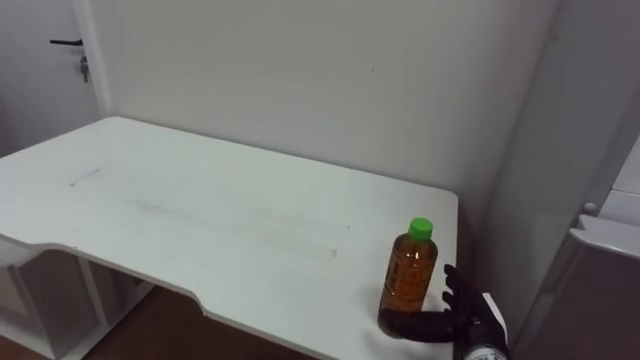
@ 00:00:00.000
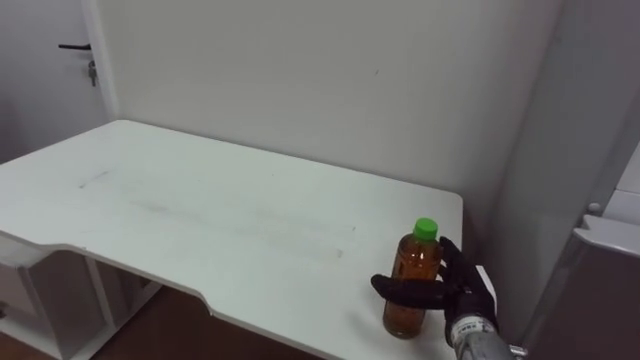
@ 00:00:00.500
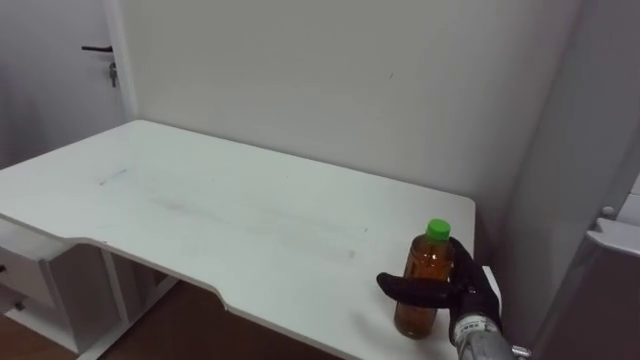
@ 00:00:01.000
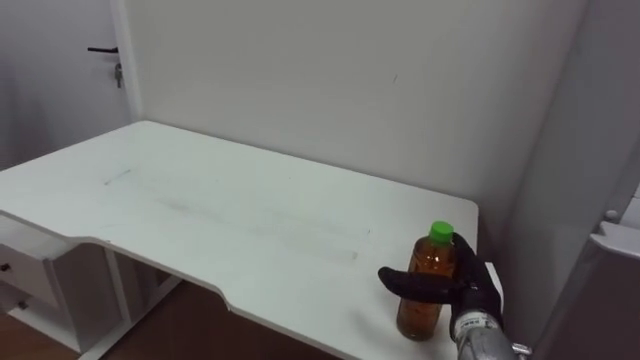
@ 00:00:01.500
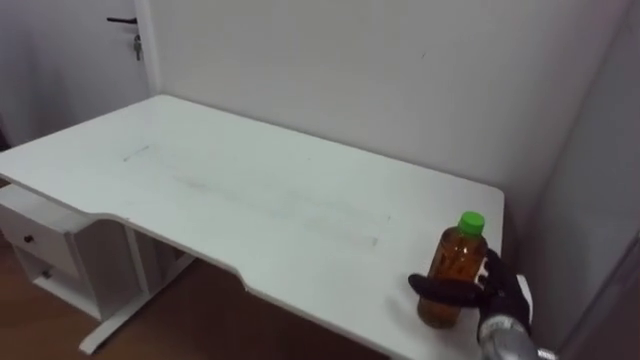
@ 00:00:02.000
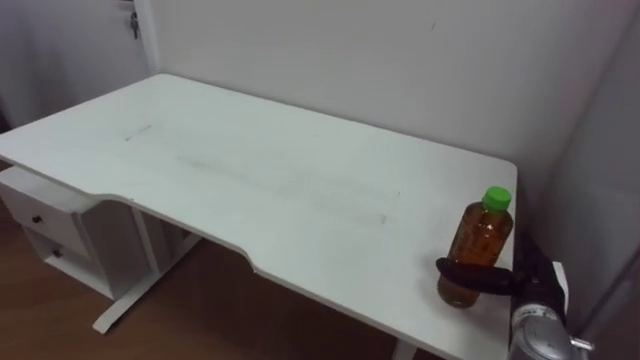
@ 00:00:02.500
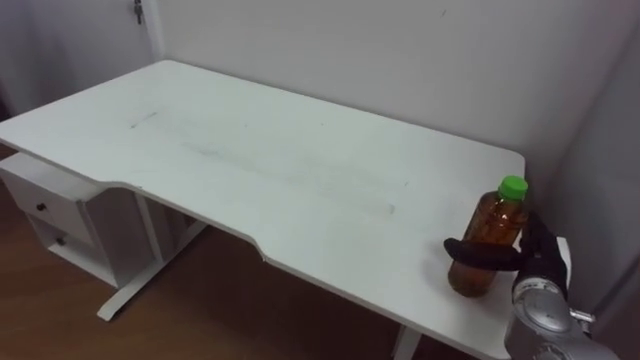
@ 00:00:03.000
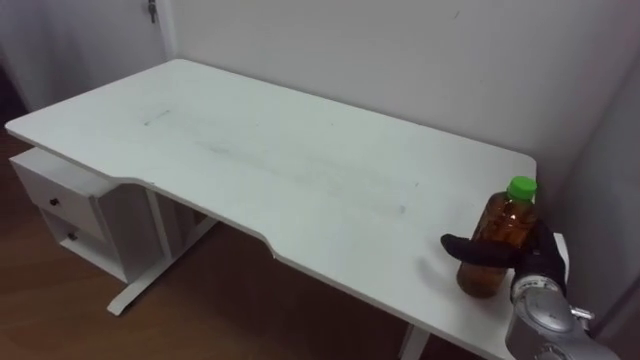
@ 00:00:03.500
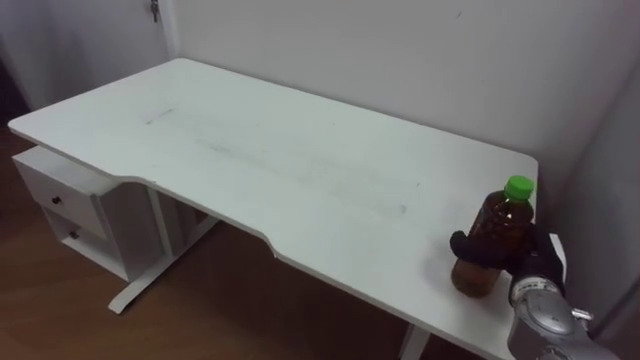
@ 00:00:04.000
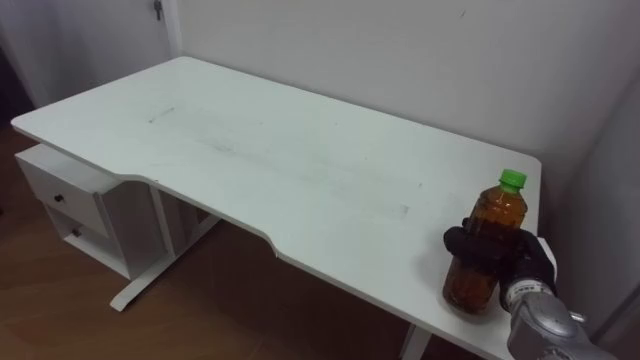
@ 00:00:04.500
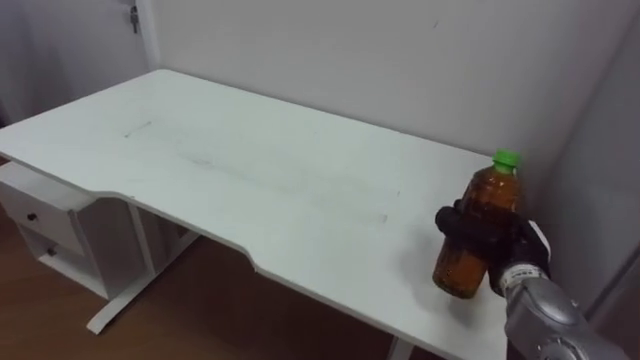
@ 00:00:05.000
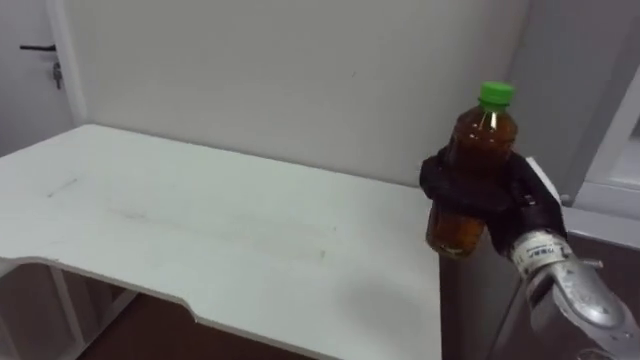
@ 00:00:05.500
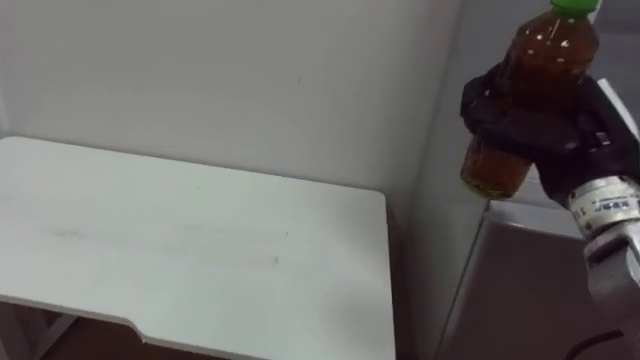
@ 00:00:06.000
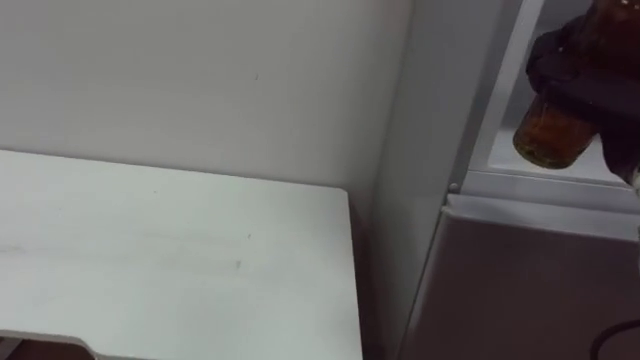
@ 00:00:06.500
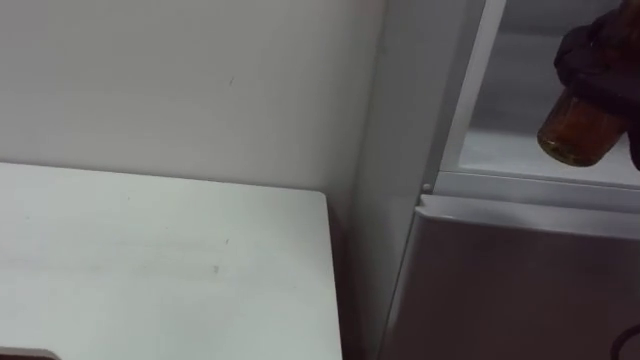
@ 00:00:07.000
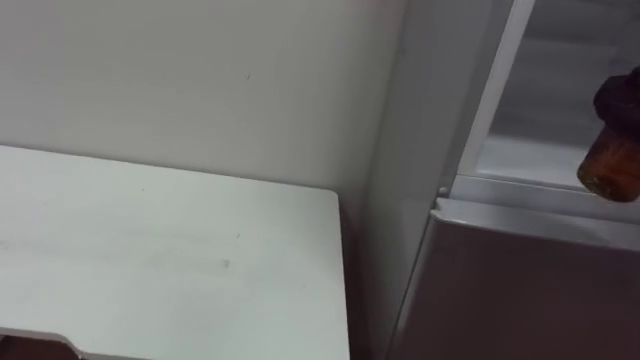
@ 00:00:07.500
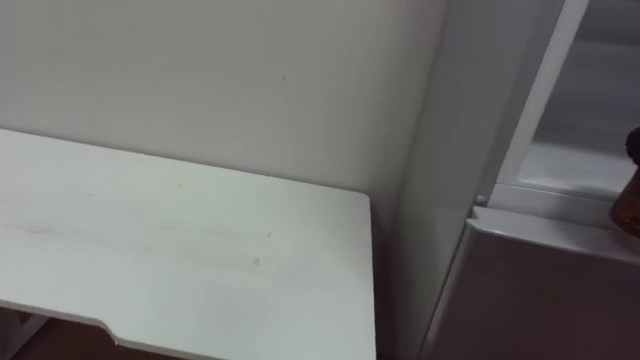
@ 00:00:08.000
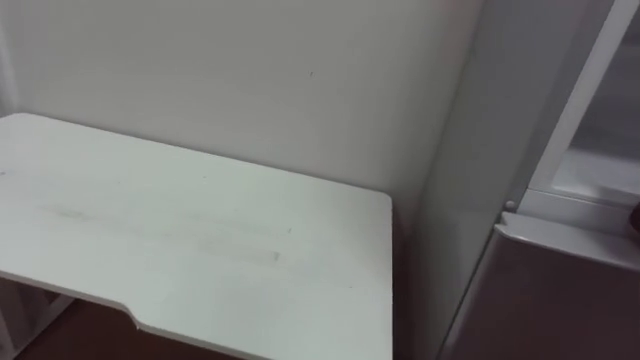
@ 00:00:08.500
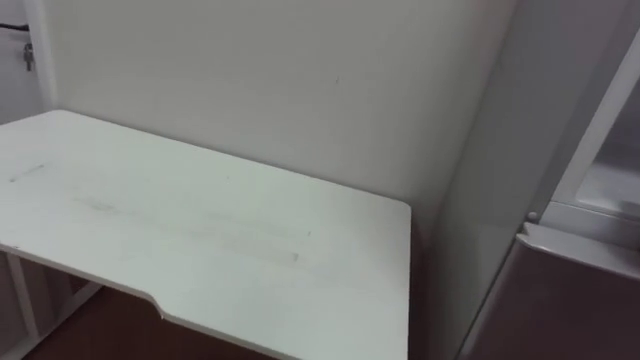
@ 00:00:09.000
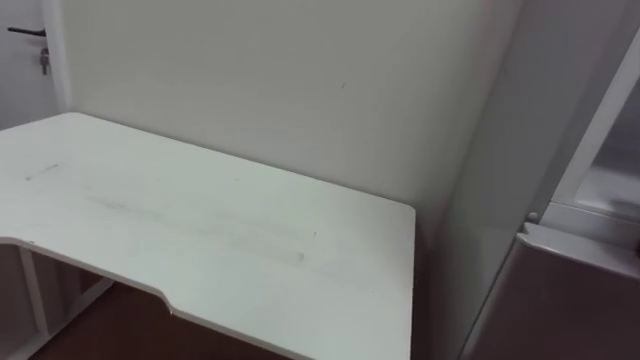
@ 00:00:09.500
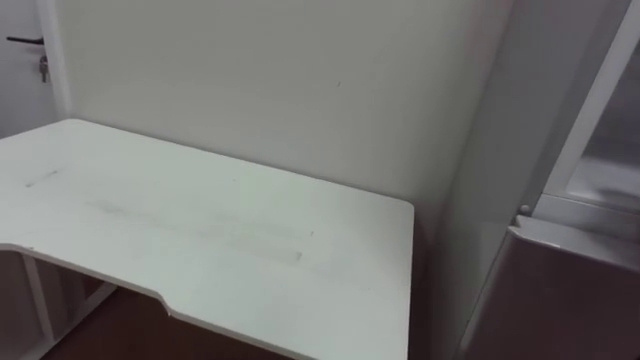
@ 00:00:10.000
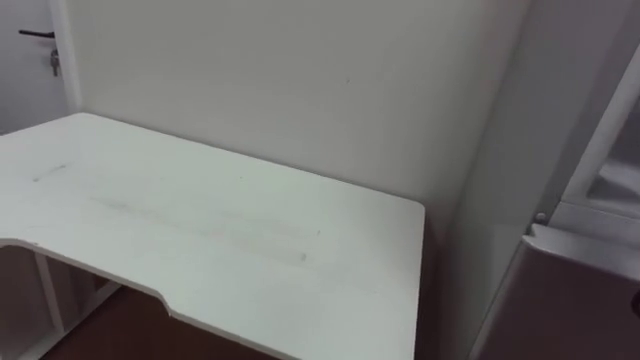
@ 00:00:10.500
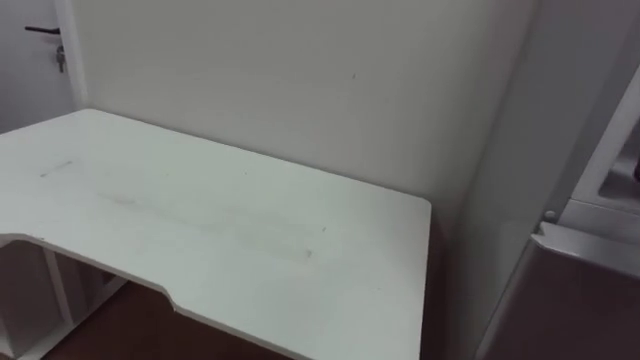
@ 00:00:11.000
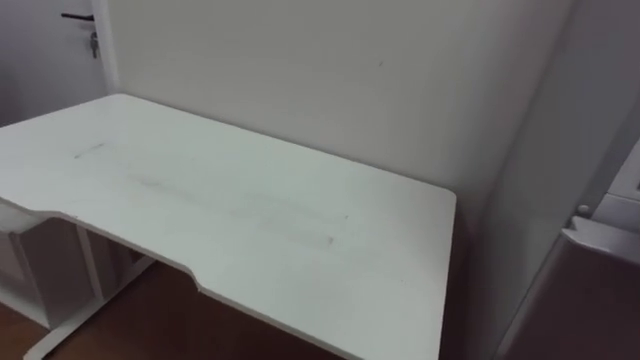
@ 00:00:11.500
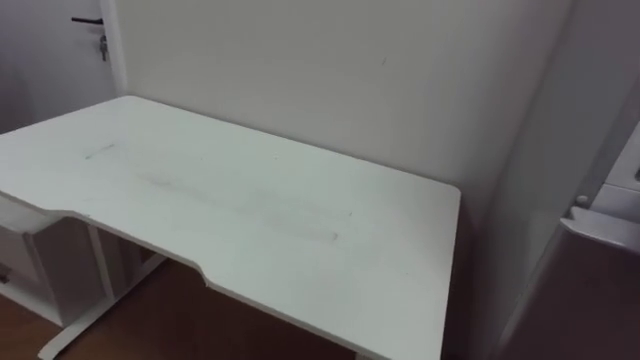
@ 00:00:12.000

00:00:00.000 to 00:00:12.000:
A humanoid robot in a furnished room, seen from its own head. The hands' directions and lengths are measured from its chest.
Task of the whole recording: Open the upper refrigerator door, put the drink from the table into the refrigerator, and then close the refrigerator door.
00:00:02.000 to 00:00:04.000: The right hand moves approximately 5 cm, and closes up.
00:00:04.000 to 00:00:06.000: The right hand moves upward, about 20 cm.
